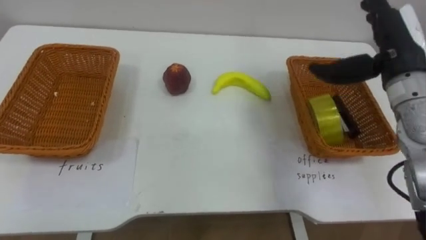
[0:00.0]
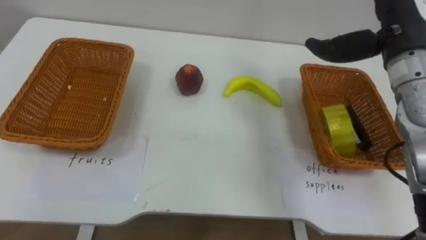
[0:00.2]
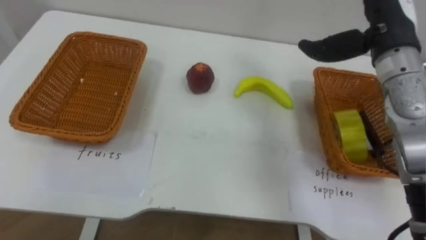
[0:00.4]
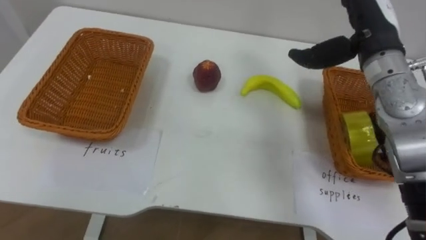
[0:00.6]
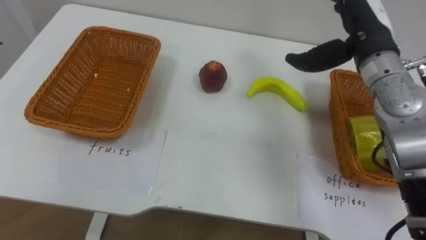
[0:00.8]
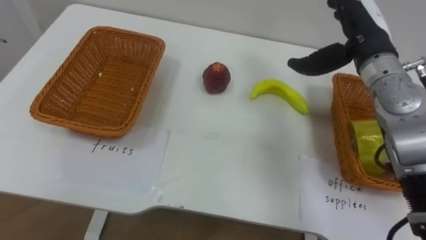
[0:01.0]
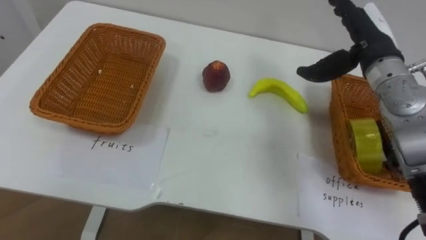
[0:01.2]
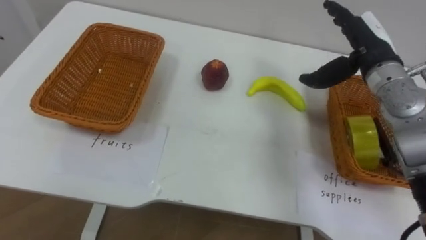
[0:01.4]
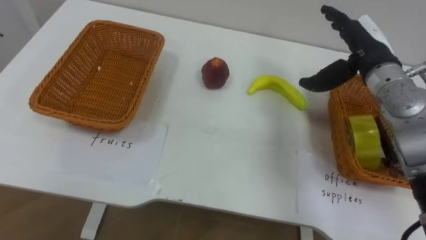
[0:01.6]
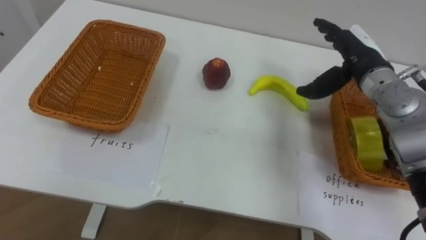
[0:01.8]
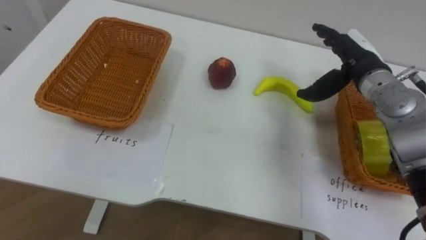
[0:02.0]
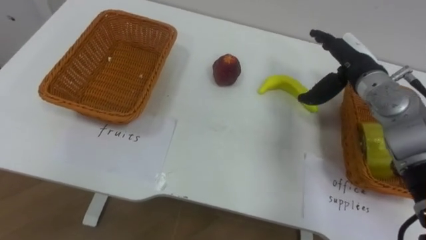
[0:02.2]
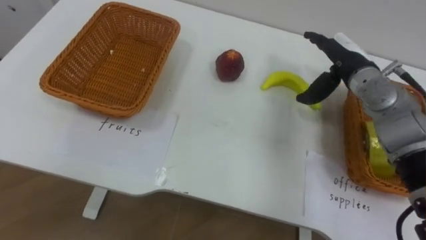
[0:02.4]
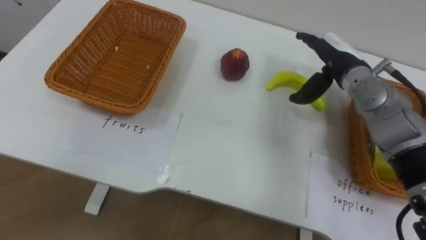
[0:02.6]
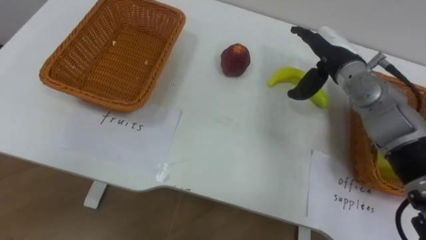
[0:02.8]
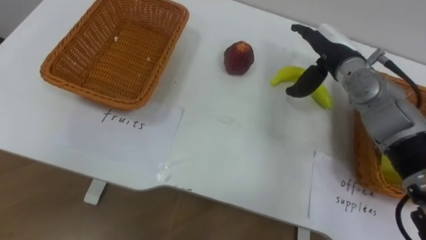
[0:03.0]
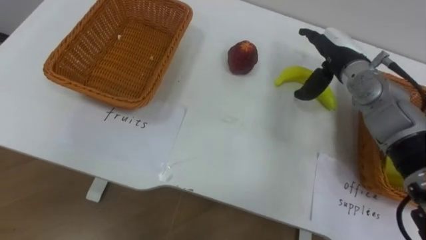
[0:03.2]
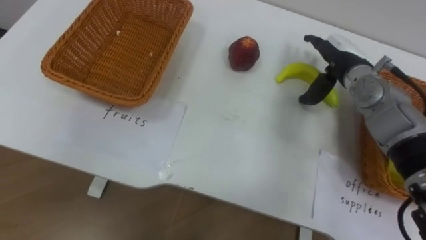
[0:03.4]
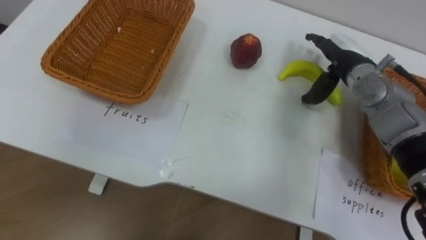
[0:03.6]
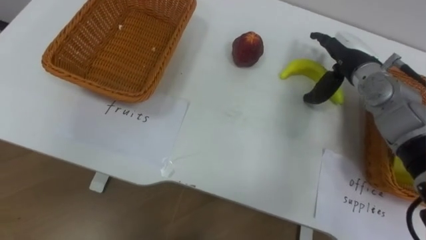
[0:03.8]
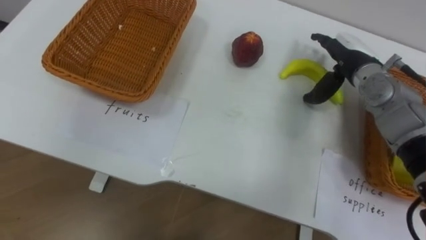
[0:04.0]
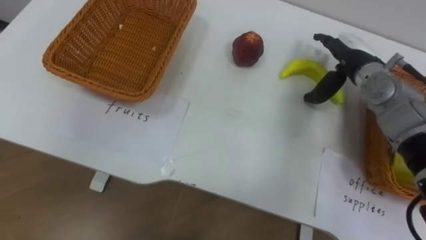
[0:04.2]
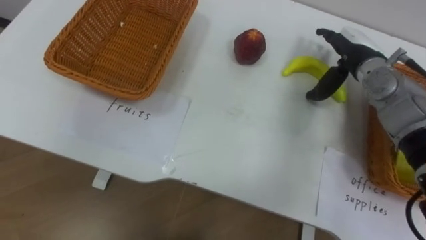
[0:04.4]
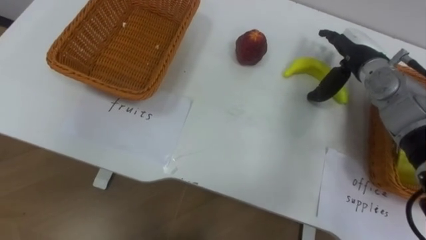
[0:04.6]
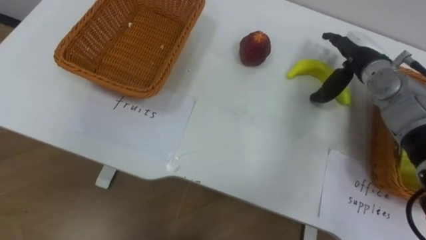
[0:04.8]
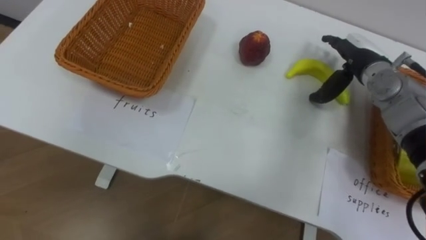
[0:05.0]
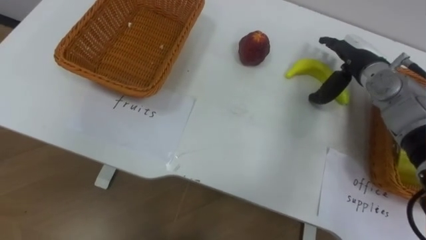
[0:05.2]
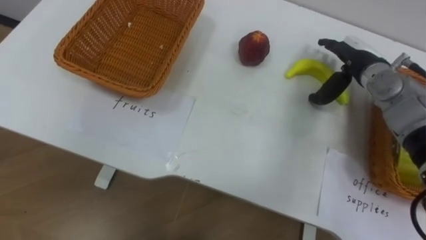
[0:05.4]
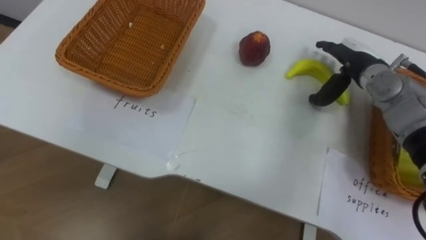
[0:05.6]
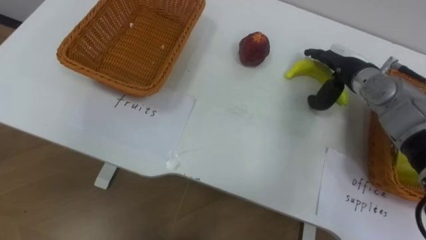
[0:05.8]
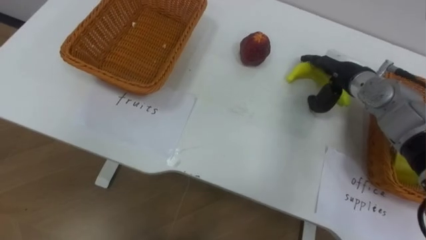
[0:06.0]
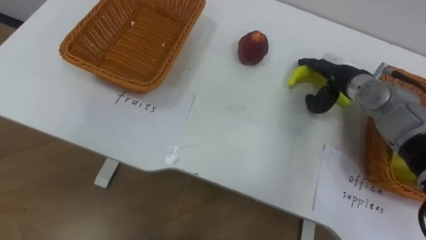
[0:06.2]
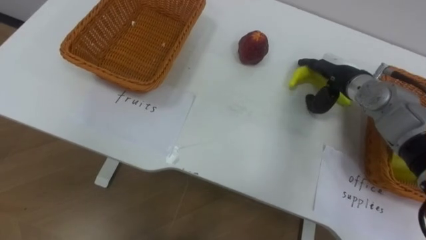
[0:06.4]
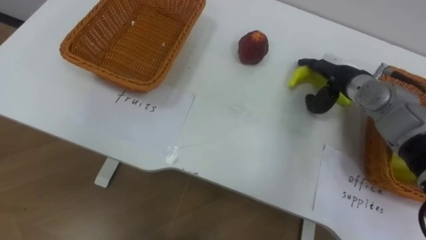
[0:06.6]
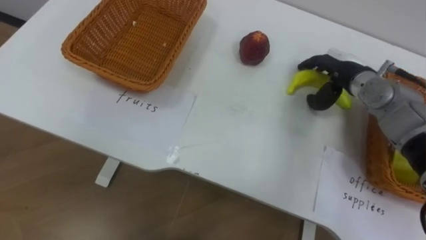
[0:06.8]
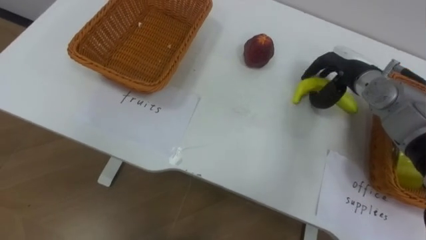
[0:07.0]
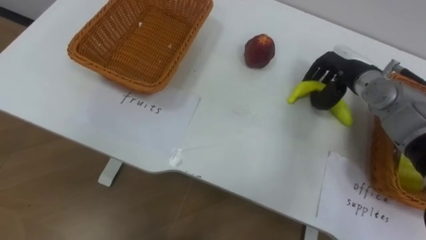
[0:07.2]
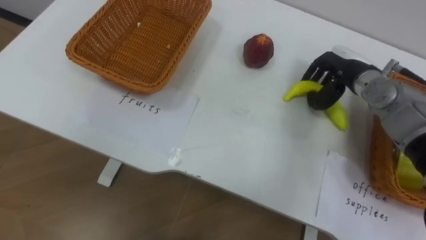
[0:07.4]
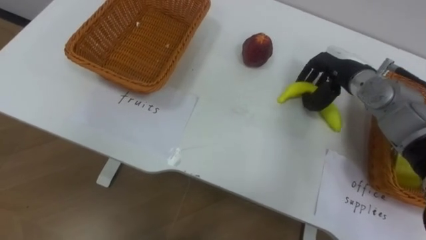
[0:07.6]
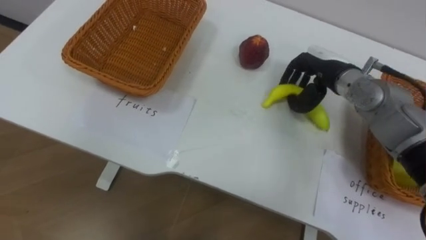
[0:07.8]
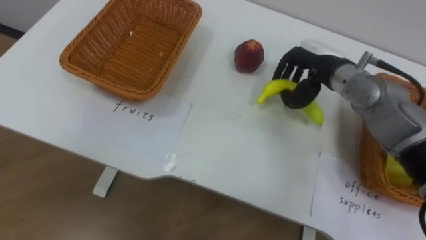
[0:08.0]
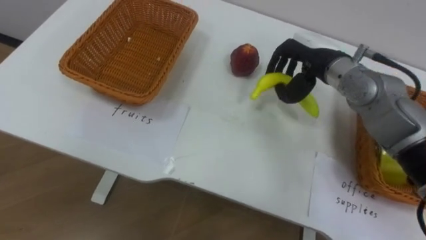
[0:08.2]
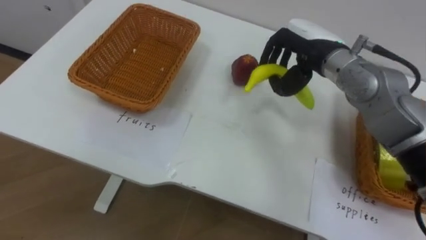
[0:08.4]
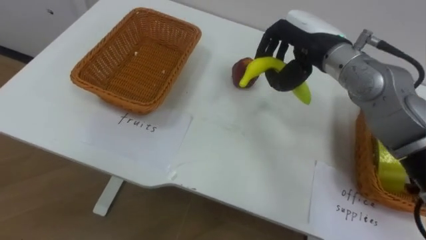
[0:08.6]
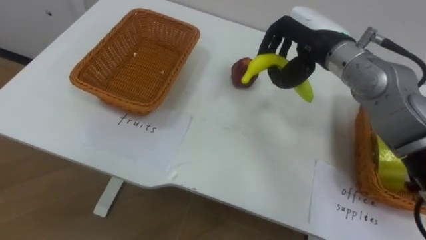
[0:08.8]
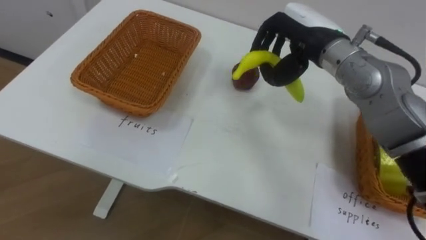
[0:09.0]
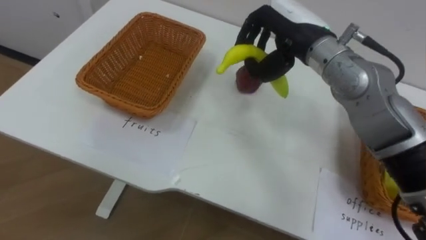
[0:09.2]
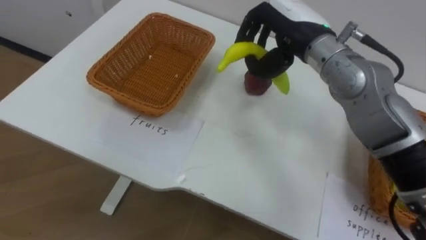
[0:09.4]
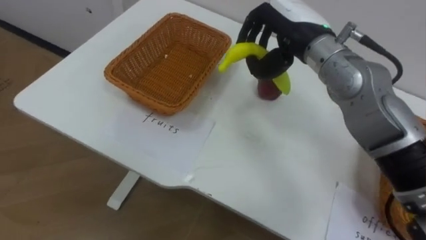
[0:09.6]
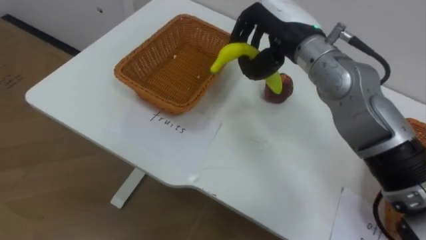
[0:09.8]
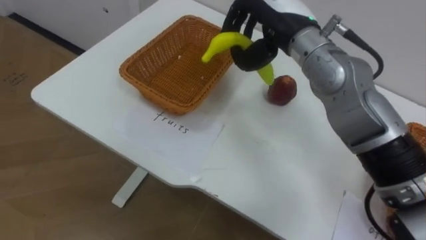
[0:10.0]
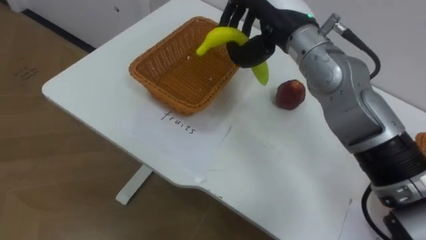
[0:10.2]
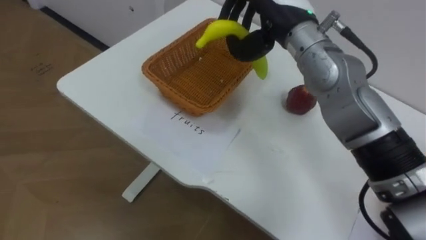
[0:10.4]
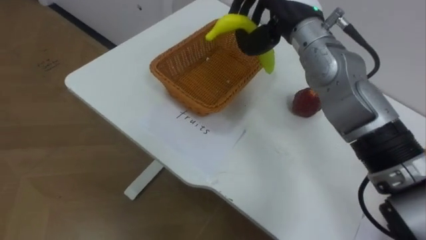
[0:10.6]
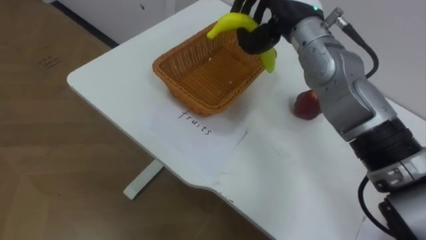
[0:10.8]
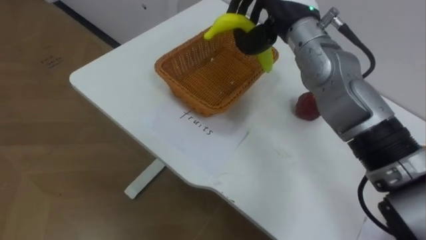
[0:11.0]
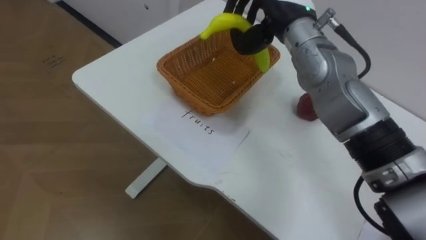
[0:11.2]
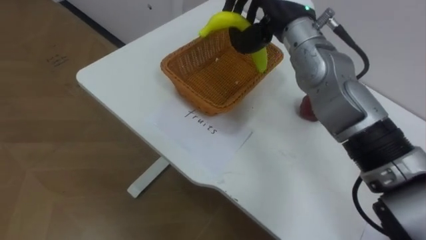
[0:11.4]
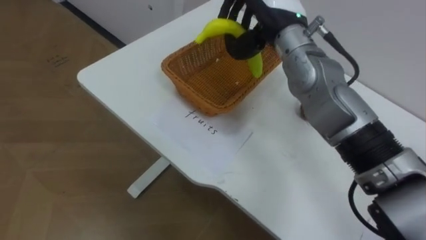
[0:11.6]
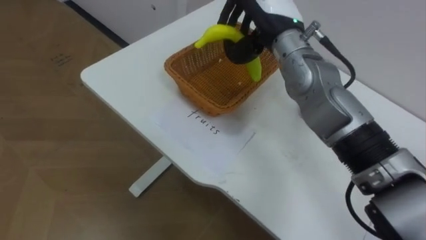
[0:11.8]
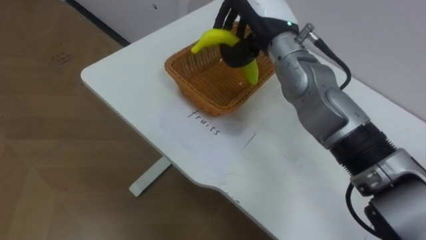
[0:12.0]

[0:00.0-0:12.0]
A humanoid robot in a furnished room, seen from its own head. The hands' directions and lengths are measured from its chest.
Task of the whole recording: Separate the items on the table and place them into the two baskets.
0:00.0 to 0:01.6: The right hand shifts by about 5 cm.
0:01.6 to 0:03.0: The right hand changes place by about 5 cm.
0:06.0 to 0:07.6: The right hand closes.
0:07.6 to 0:09.0: The right hand heads upward and to the left, covering about 15 cm.
0:09.0 to 0:10.4: The right hand heads to the left, covering about 5 cm.

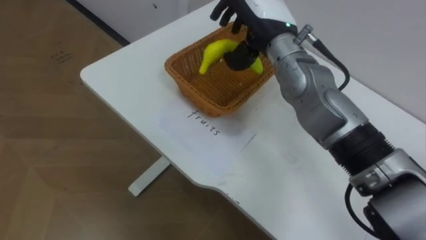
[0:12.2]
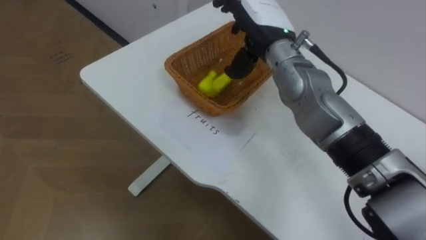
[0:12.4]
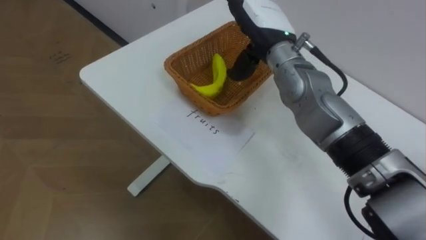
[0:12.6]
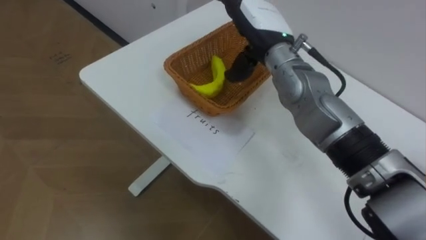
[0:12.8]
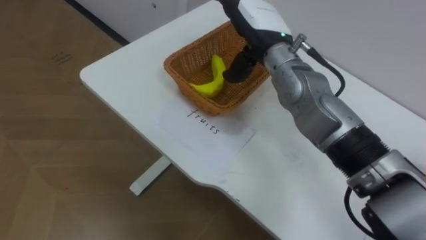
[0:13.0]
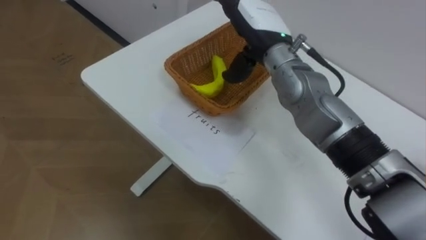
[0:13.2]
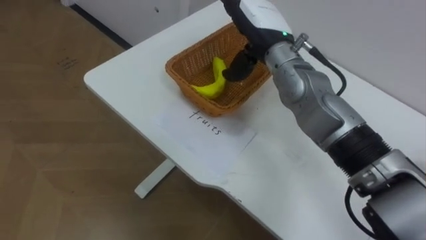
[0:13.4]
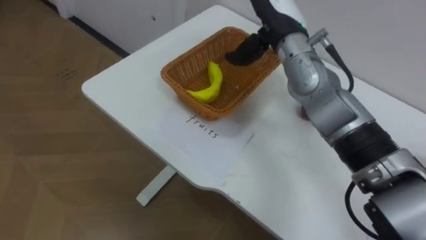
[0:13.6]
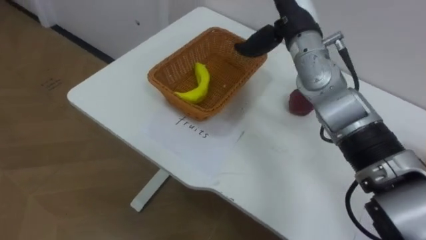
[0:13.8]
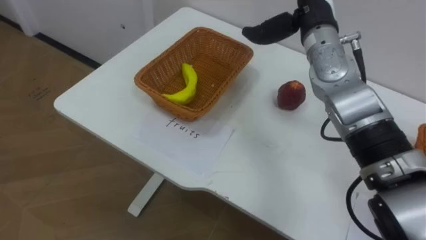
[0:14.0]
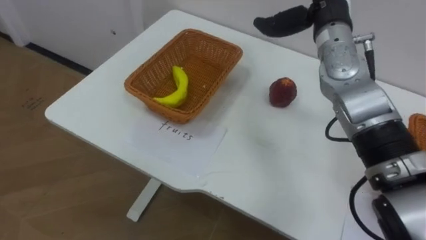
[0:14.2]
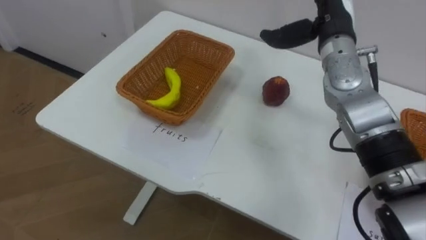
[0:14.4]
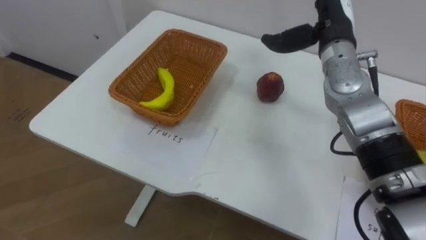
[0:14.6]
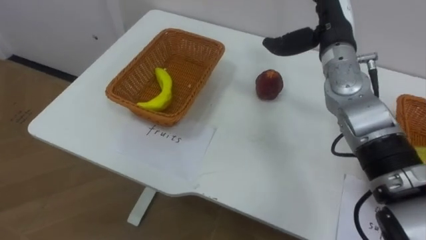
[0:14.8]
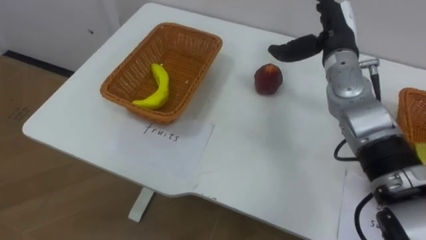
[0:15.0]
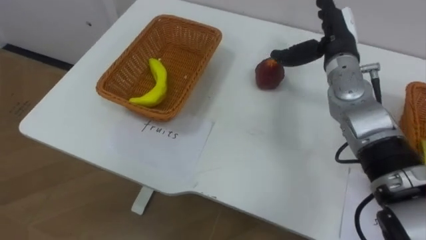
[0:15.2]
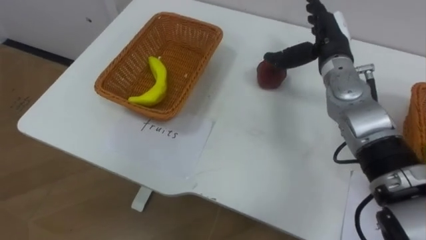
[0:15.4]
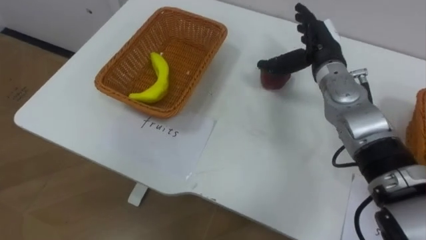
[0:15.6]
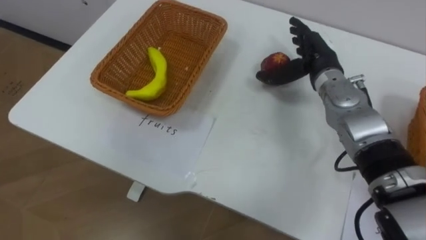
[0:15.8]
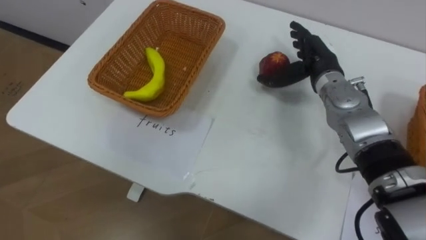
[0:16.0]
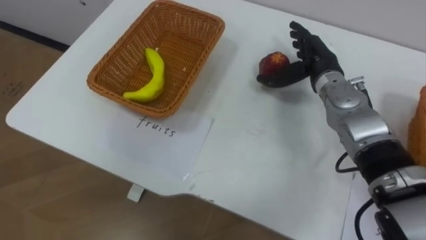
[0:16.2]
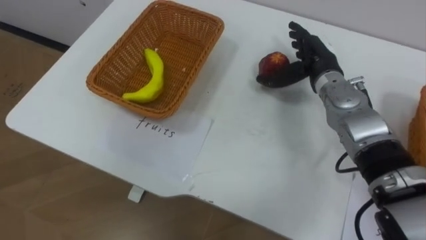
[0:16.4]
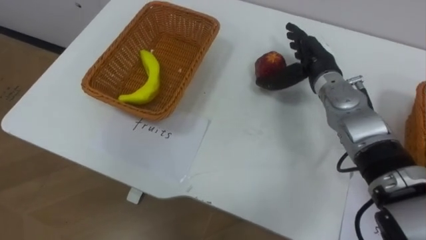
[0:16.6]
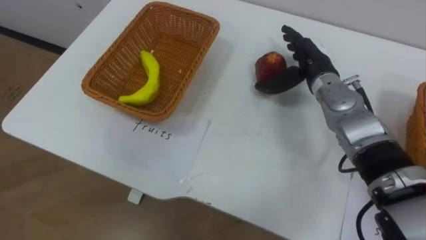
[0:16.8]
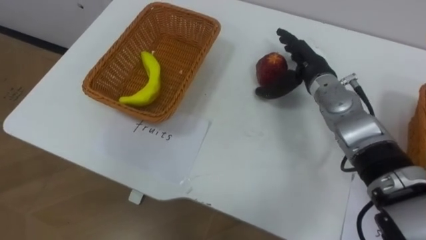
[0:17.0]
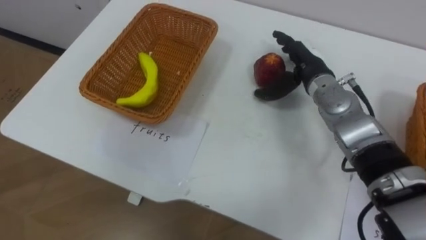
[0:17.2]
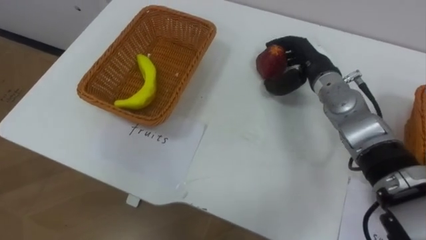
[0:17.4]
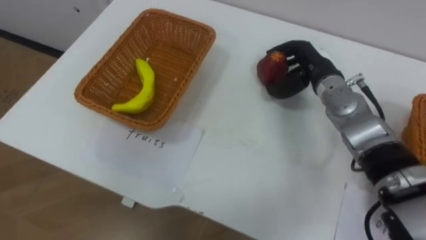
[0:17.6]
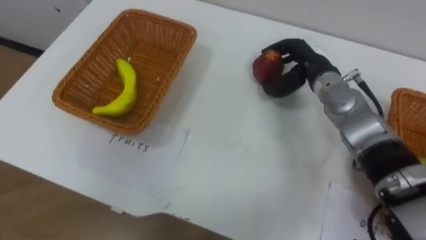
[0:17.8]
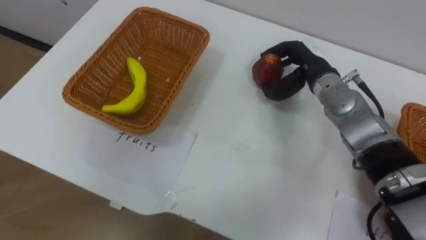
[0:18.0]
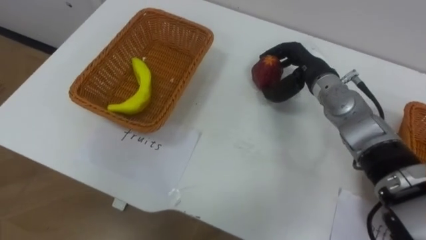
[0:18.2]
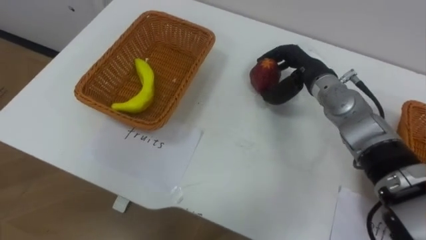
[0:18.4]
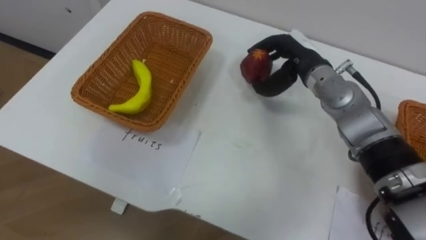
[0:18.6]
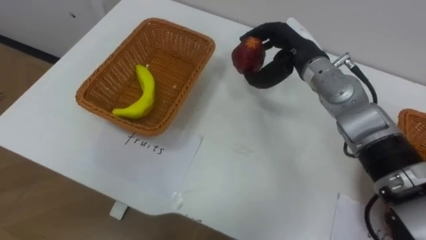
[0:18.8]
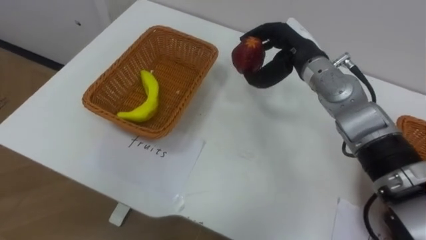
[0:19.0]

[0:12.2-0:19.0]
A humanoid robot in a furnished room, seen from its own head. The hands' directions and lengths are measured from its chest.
Task of the whole recording: Separate the items on the table and place them into the two baskets.
0:12.2 to 0:13.6: The right hand opens its fingers.
0:13.6 to 0:15.0: The right hand goes approximately 10 cm to the right.
0:15.0 to 0:16.2: The right hand moves downward, about 5 cm.
0:16.2 to 0:17.6: The right hand closes its fingers.
0:17.6 to 0:19.0: The right hand changes place by some 5 cm.
